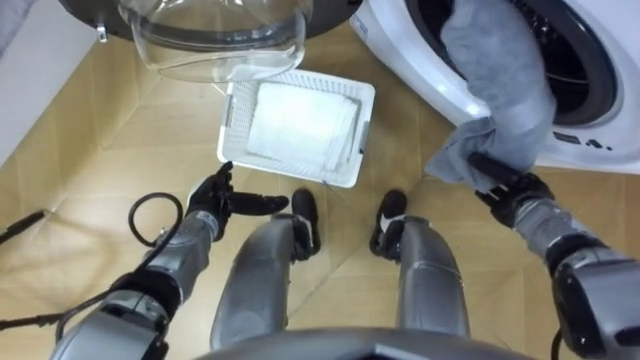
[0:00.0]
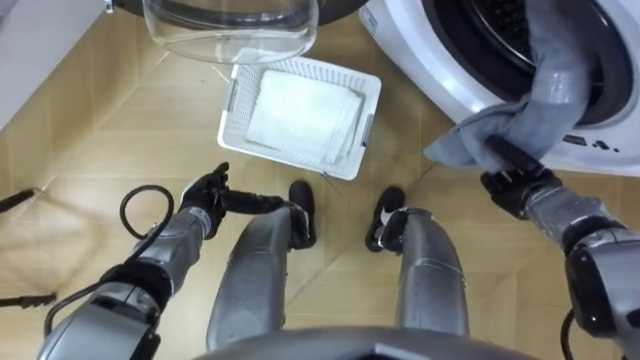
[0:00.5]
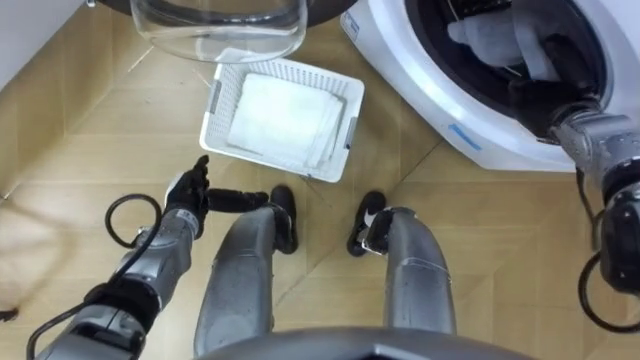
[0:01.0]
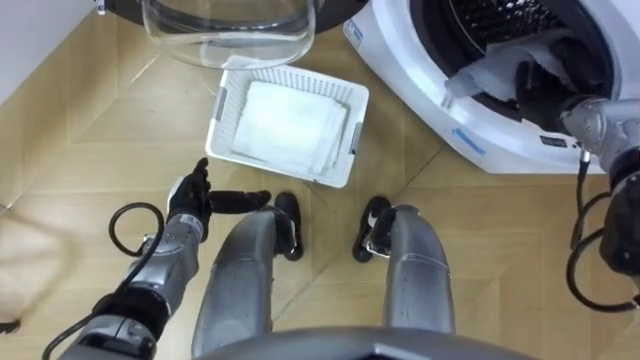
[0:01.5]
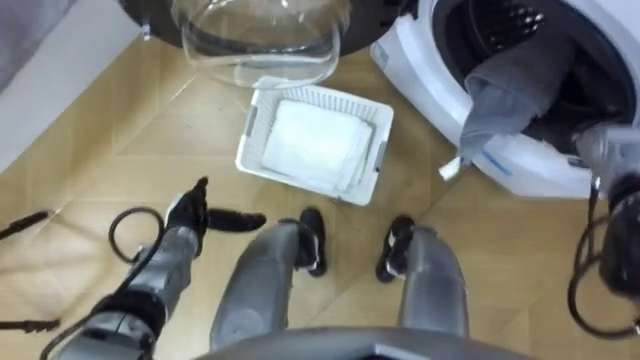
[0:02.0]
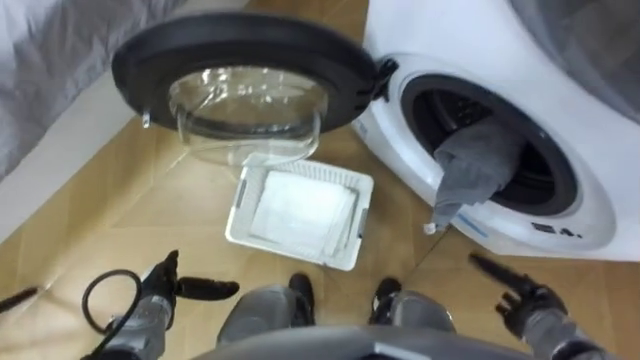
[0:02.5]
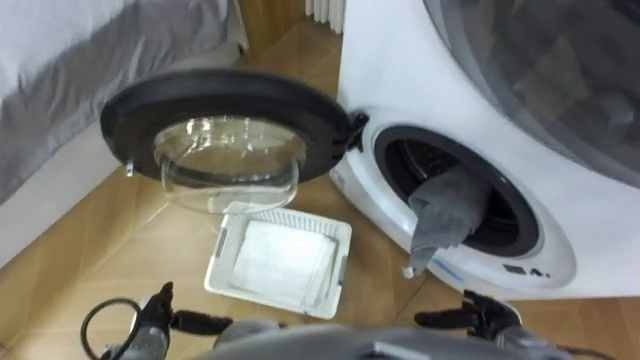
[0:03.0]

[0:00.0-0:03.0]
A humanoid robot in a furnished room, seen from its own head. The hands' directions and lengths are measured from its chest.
Task of the whole recording: Take the towel from the basket and put it into the washing machine.
0:00.0 to 0:01.5: The right hand goes some 15 cm upward and forward, and opens up.
0:01.5 to 0:03.0: The right hand is displaced backward and downward by some 35 cm. Meanwhile the left hand shifts approximately 20 cm backward and downward.

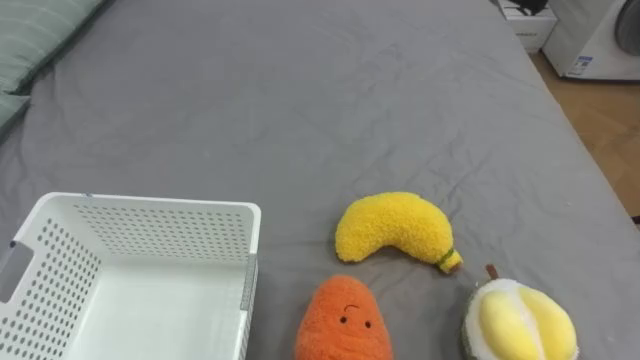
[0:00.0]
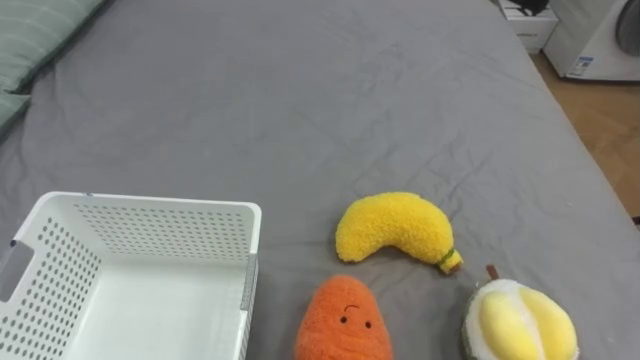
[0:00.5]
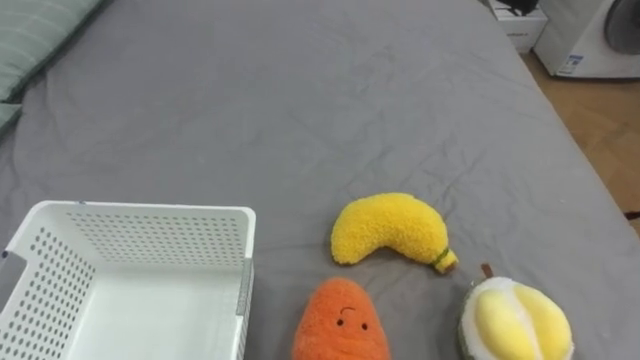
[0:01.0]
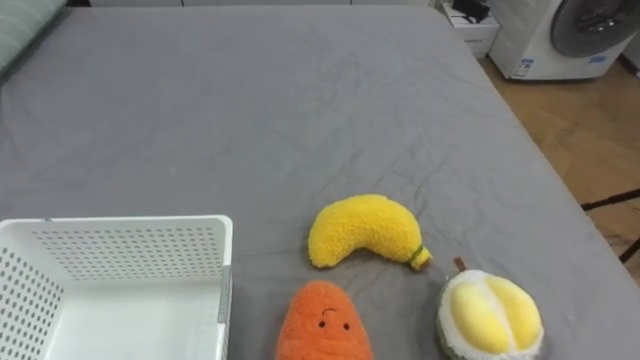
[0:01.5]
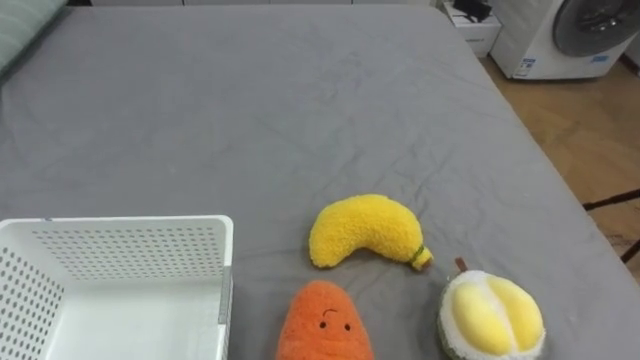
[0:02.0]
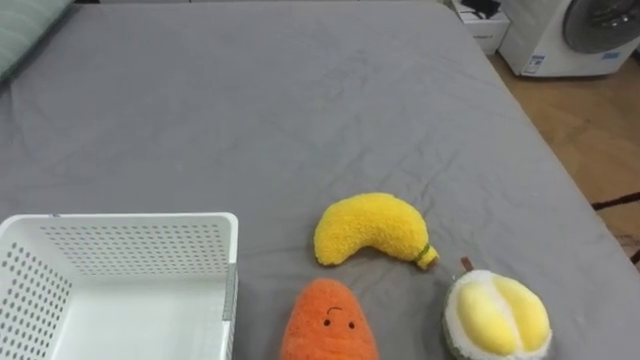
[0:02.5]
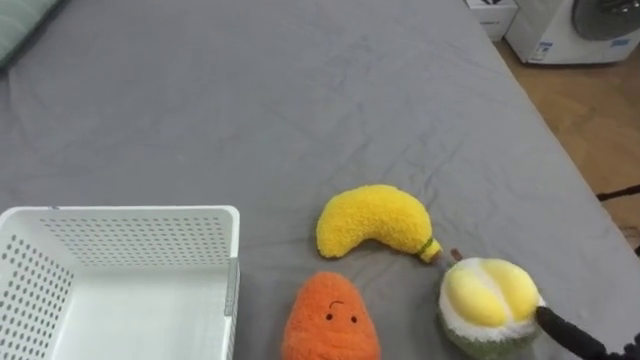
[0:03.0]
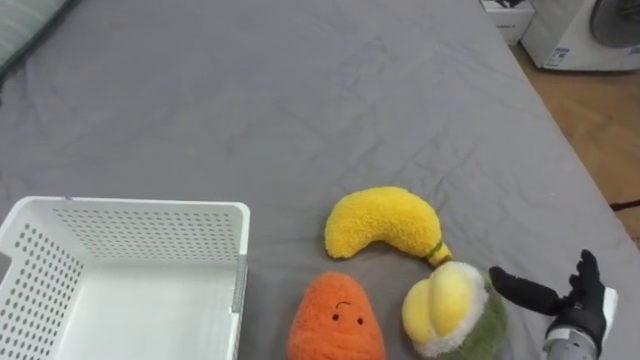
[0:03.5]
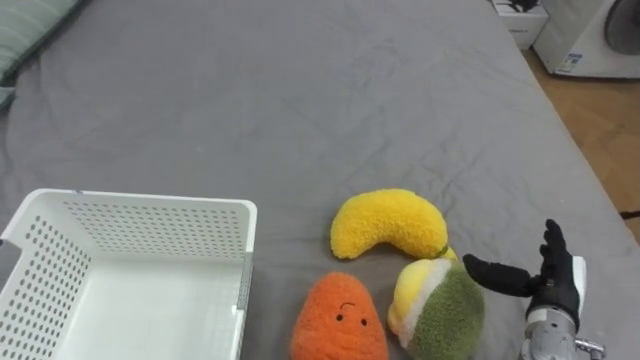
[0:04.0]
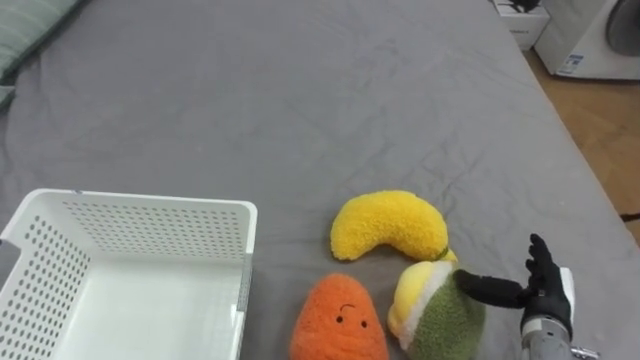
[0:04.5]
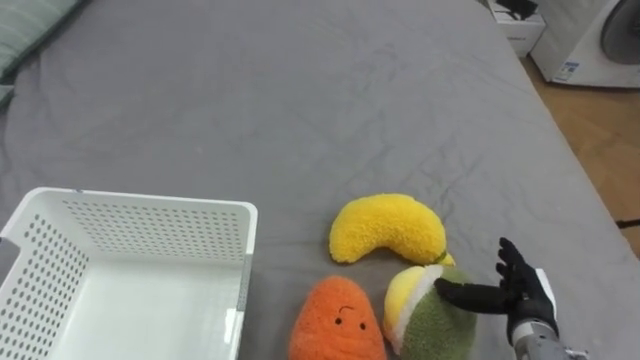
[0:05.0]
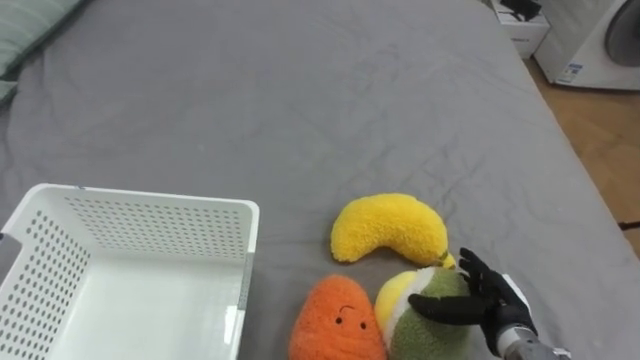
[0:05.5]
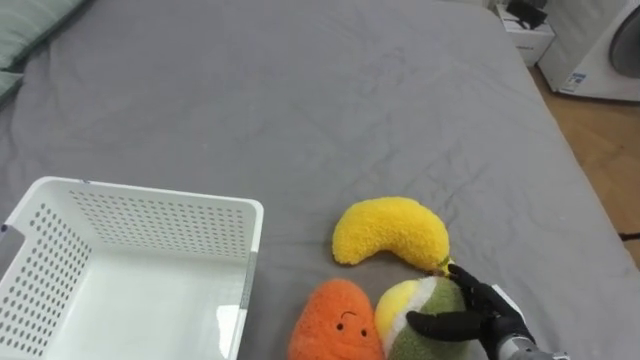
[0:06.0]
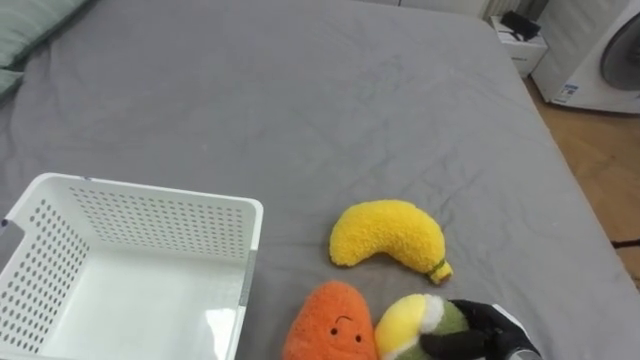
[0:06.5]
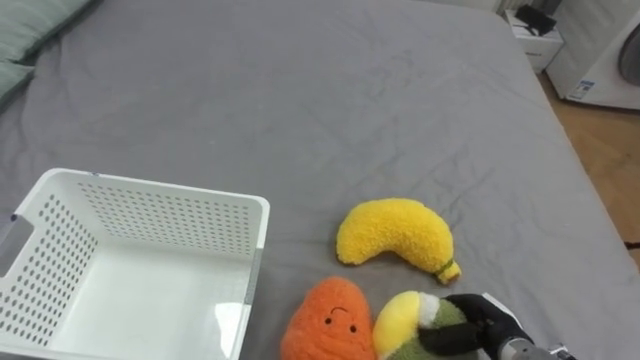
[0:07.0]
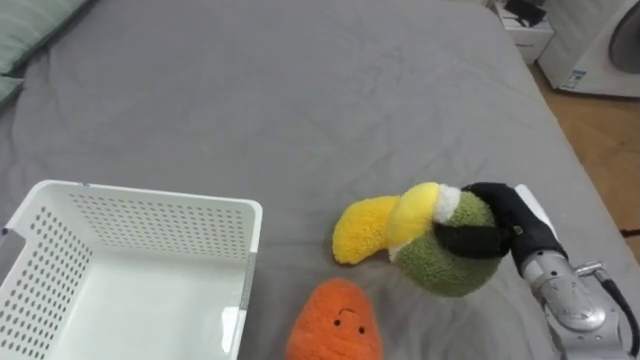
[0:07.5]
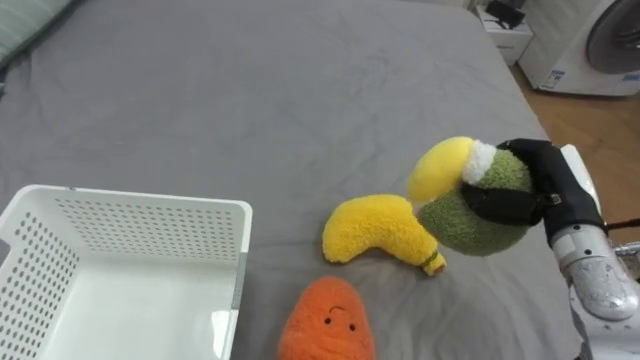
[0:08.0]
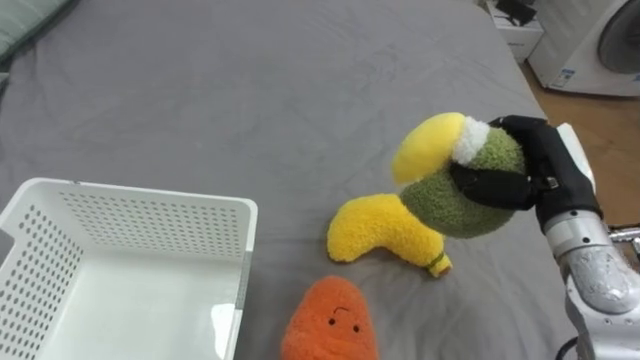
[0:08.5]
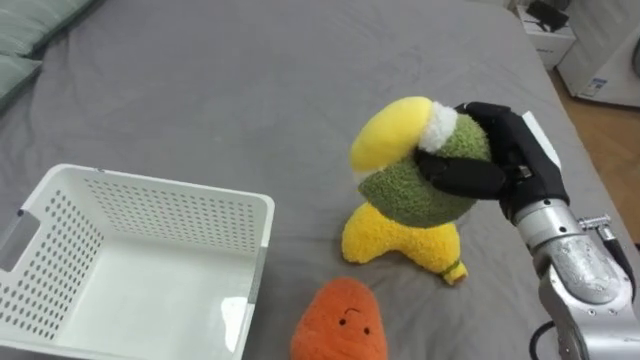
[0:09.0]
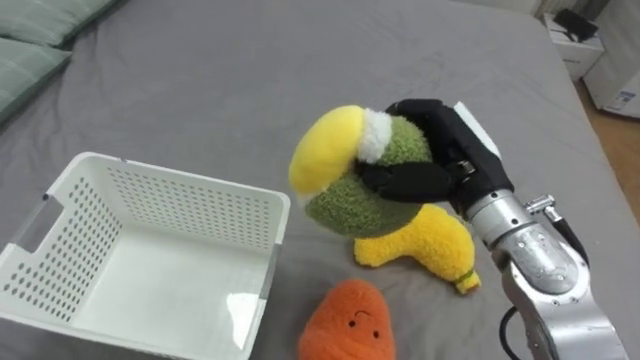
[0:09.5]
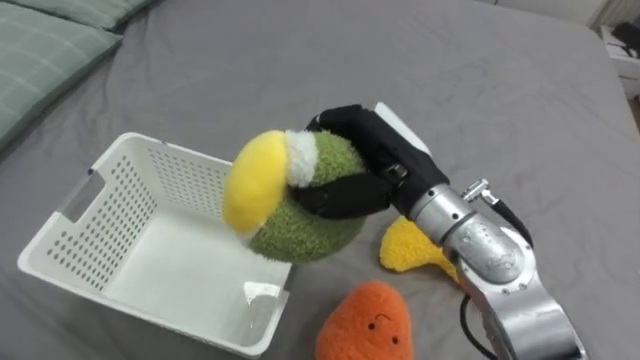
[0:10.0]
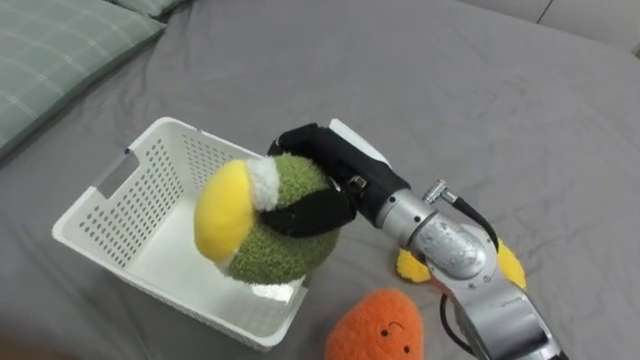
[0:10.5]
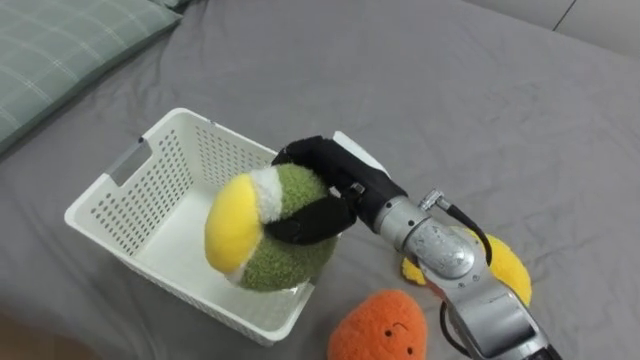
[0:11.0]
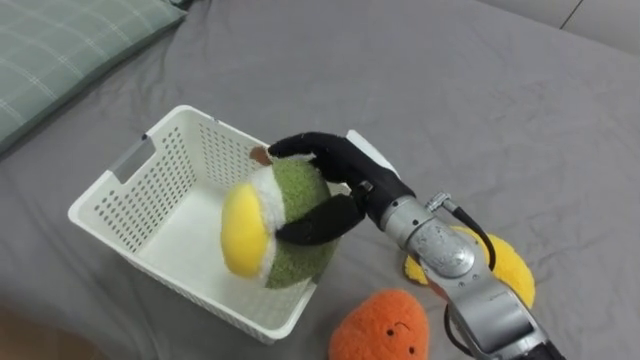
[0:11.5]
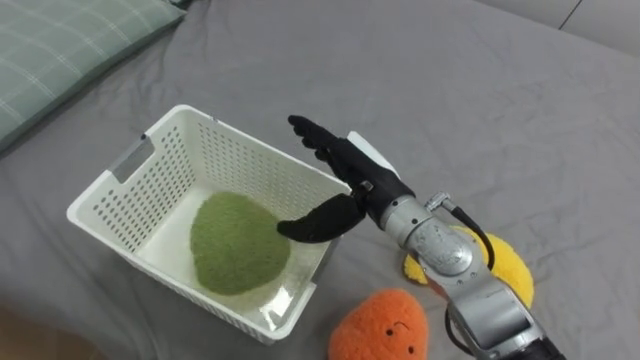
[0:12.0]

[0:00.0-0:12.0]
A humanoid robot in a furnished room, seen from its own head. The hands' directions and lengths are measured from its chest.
Task of the whole recording: Put the toys on the bed into the basket on the left.
0:04.0 to 0:06.0: The right hand is displaced to the left and downward by approximately 10 cm.
0:06.0 to 0:08.0: The right hand travels upward and forward by approximately 20 cm, and closes up.
0:08.0 to 0:10.0: The right hand shifts some 20 cm to the left.
0:10.0 to 0:12.0: The right hand shifts about 5 cm downward, and opens its fingers.

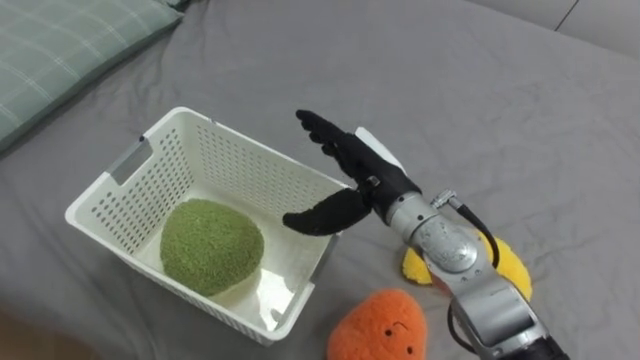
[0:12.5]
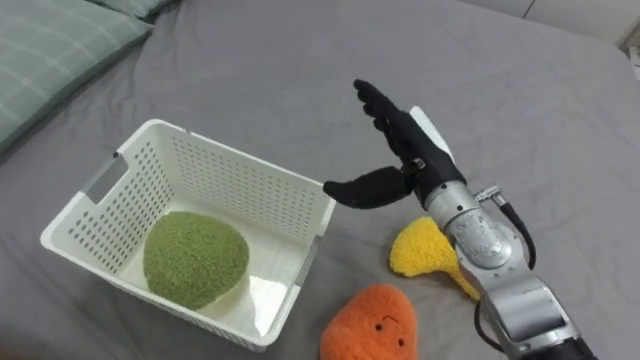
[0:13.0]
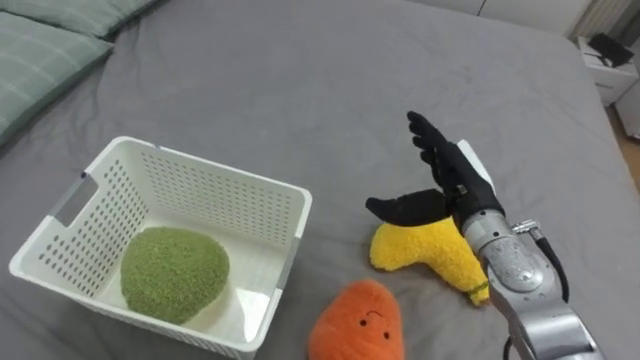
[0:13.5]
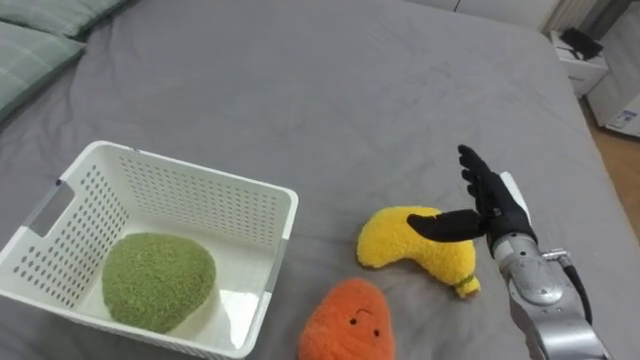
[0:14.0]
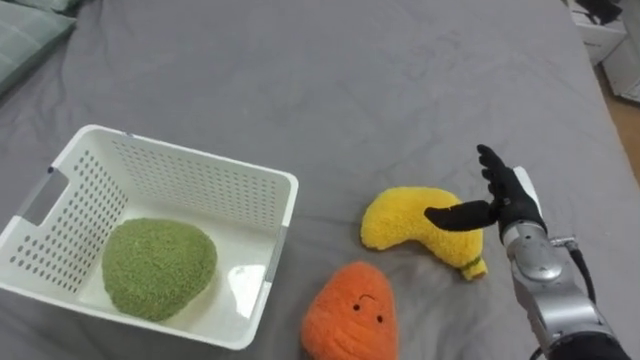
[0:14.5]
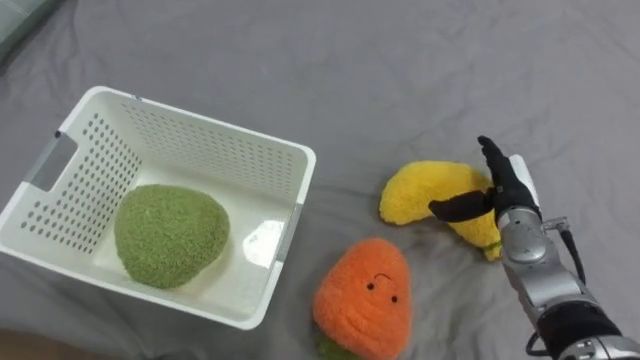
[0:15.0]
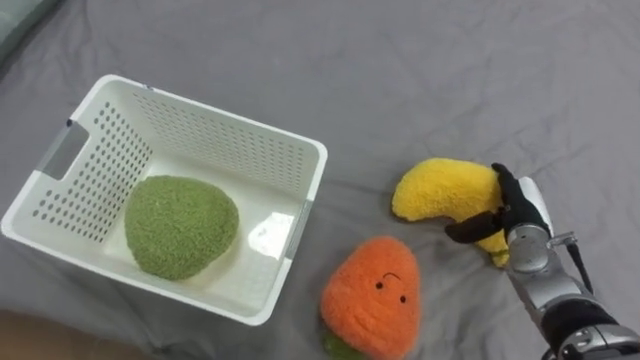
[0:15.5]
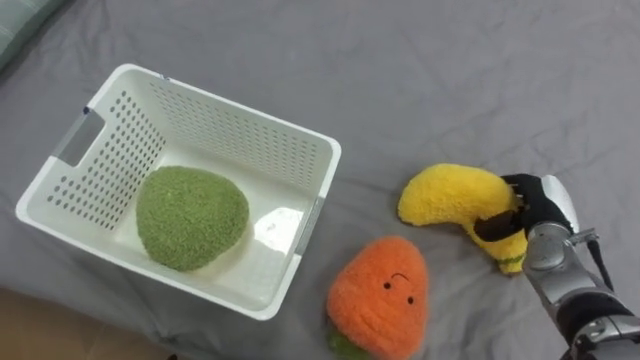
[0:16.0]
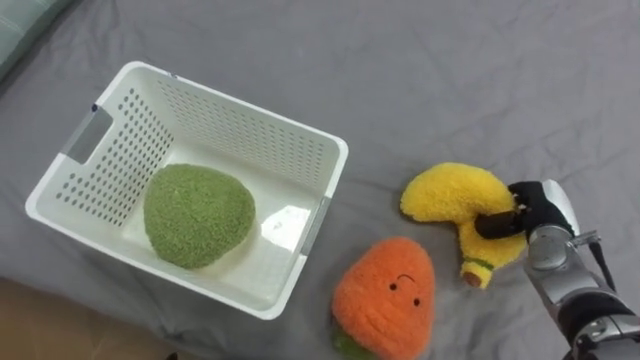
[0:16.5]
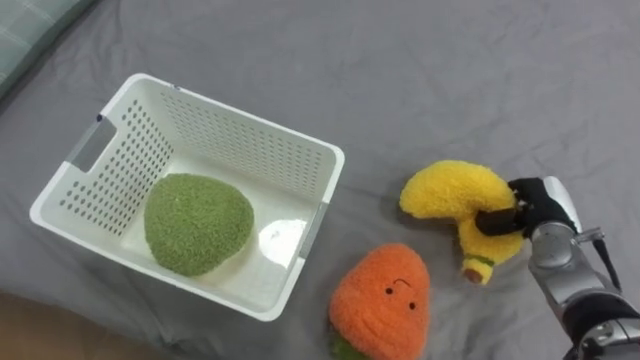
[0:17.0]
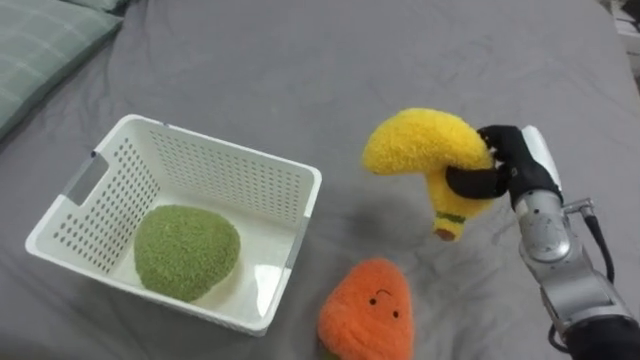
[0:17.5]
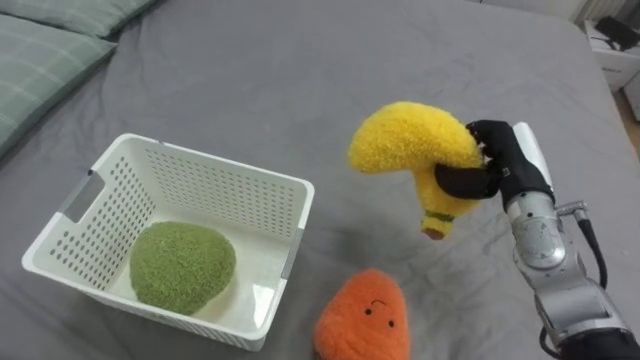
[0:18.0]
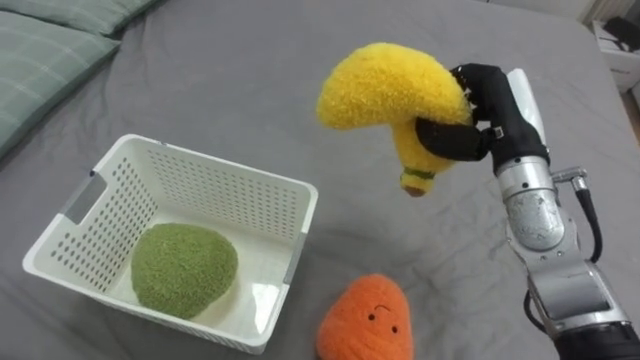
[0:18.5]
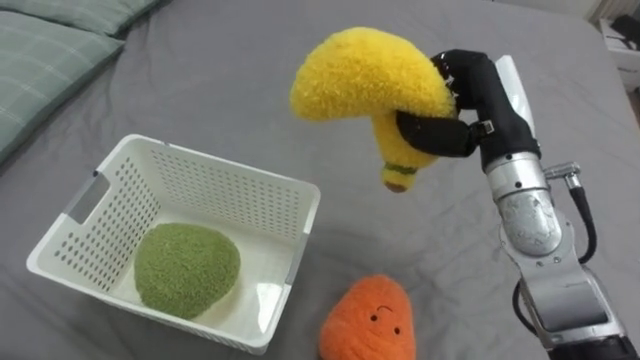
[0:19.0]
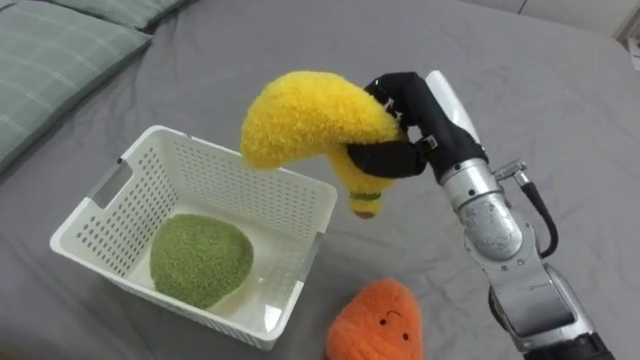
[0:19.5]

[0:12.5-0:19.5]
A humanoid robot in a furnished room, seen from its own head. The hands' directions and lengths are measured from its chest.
Task of the whole recording: Put the toys on the bed into the basket on the left.
0:12.5 to 0:14.5: The right hand goes approximately 20 cm to the right and downward.
0:14.5 to 0:16.0: The right hand shifts by approximately 5 cm.
0:16.0 to 0:17.5: The right hand goes roughly 5 cm upward, and closes up.
0:17.5 to 0:19.5: The right hand shifts approximately 15 cm to the left and upward.
